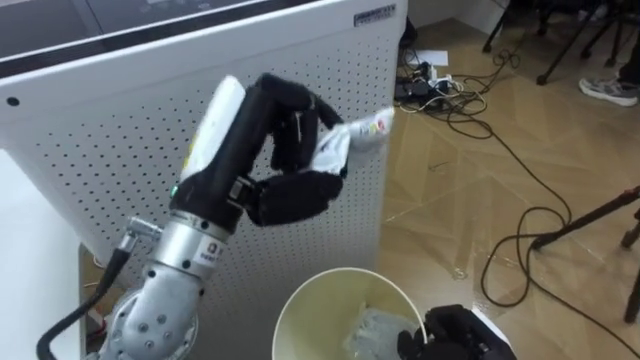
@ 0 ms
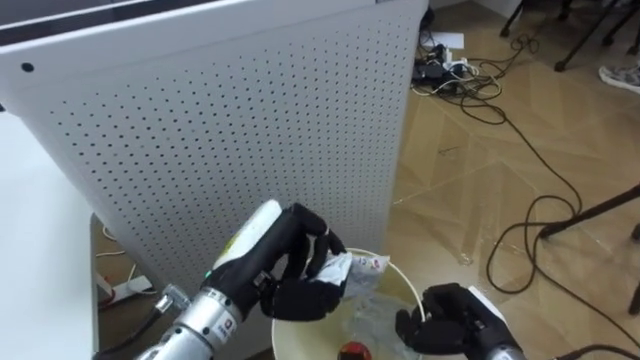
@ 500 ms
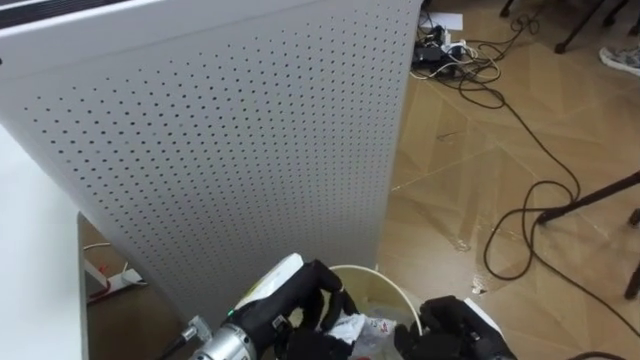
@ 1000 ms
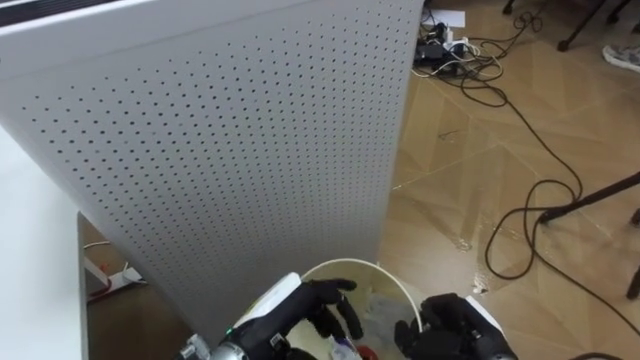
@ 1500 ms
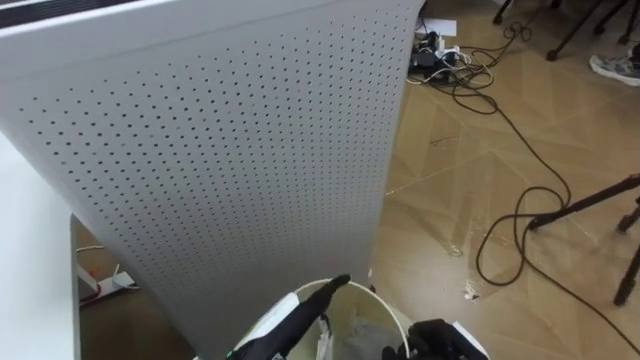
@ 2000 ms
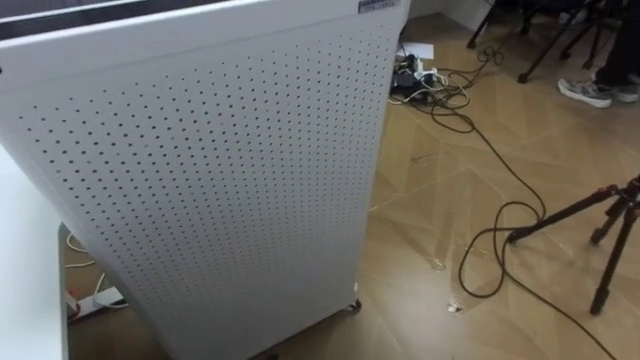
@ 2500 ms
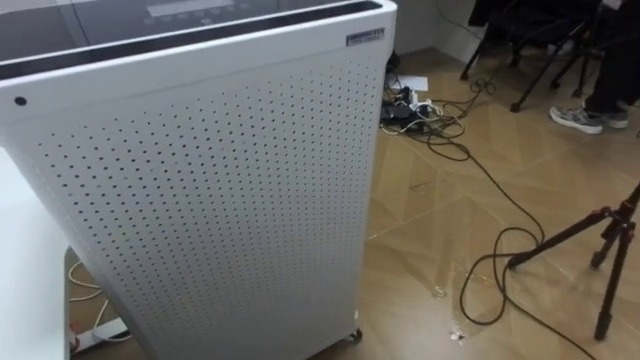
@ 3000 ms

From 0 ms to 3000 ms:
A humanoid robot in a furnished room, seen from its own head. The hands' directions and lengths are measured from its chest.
Task of the whole recording: Pick up the light blue package, the candy box, and the dark blue package separately, and put them into the trash can held in your right hand.
From 0 ms to 1500 ms: The left hand heads downward, covering roughly 20 cm, and opens up.

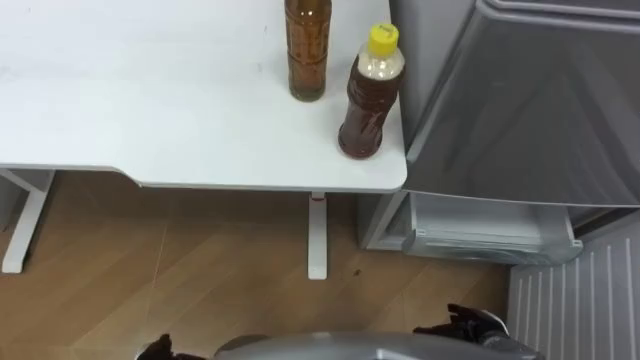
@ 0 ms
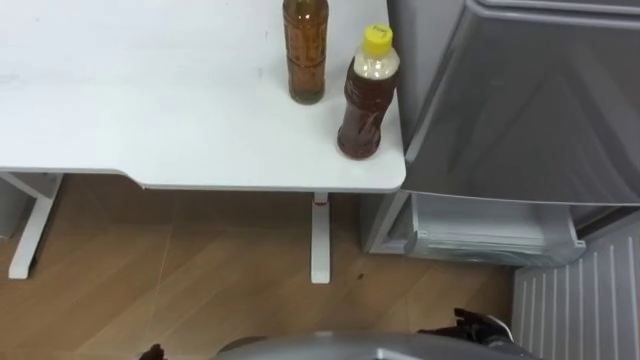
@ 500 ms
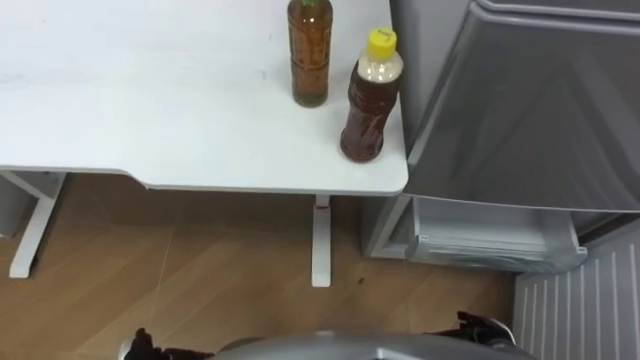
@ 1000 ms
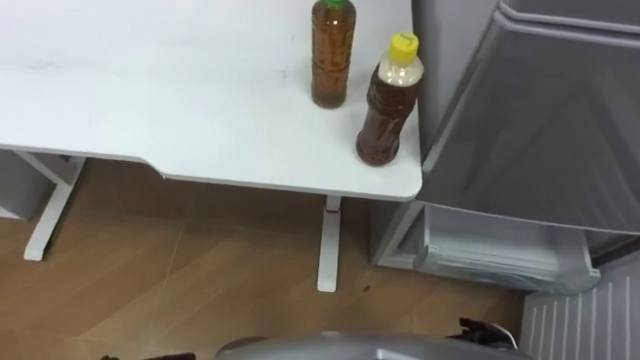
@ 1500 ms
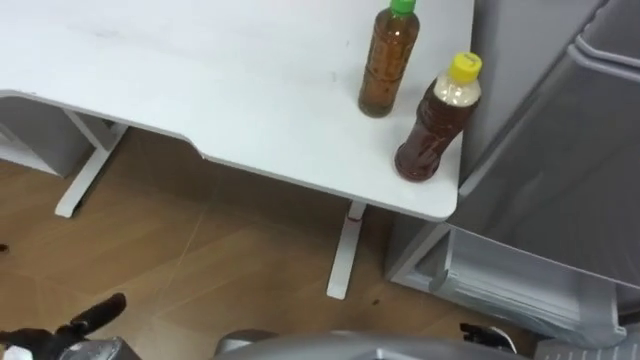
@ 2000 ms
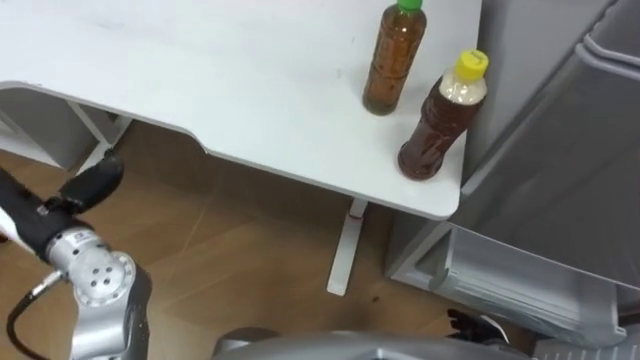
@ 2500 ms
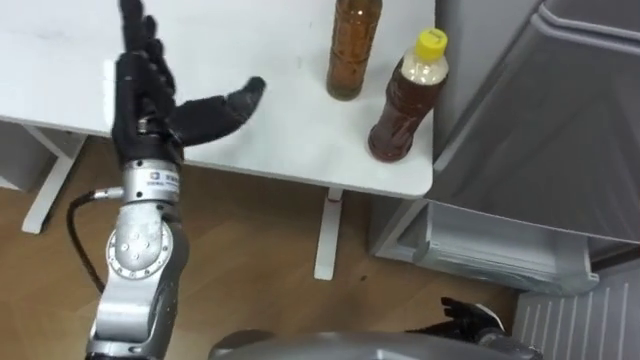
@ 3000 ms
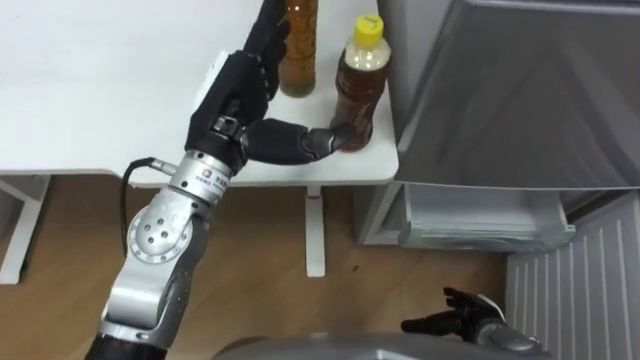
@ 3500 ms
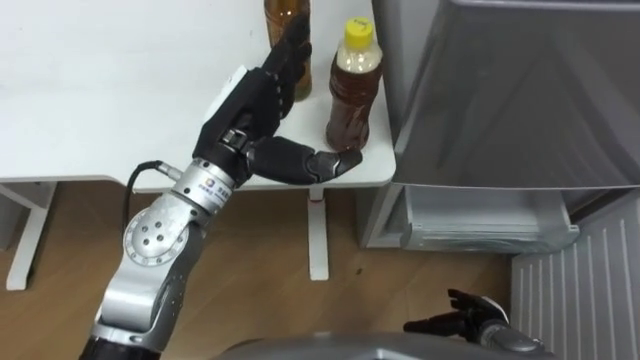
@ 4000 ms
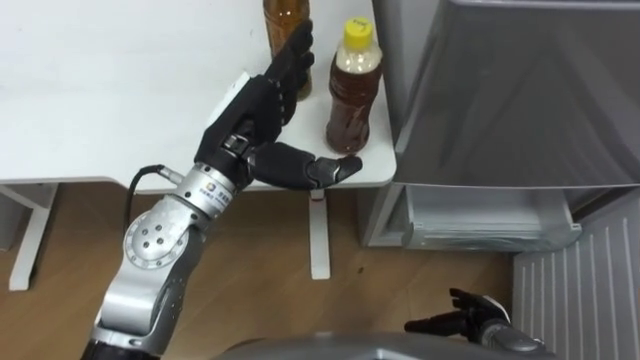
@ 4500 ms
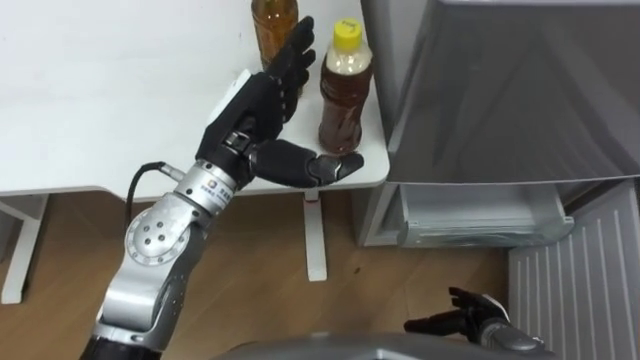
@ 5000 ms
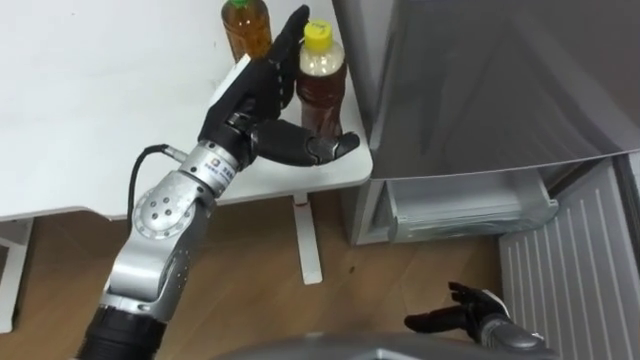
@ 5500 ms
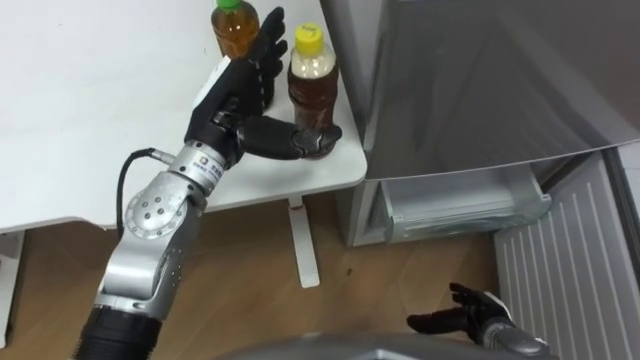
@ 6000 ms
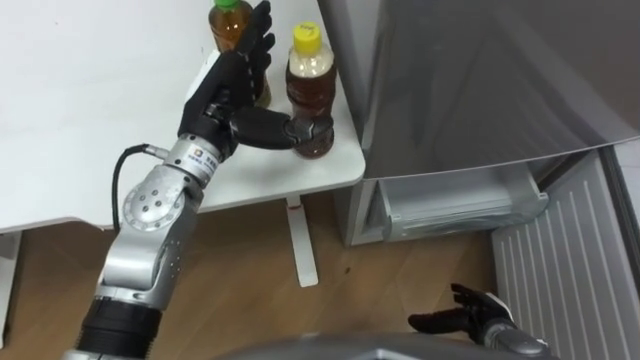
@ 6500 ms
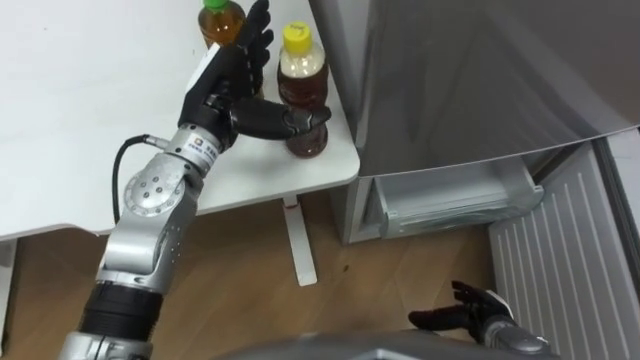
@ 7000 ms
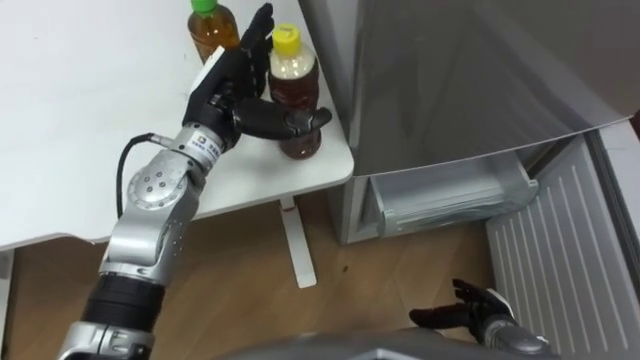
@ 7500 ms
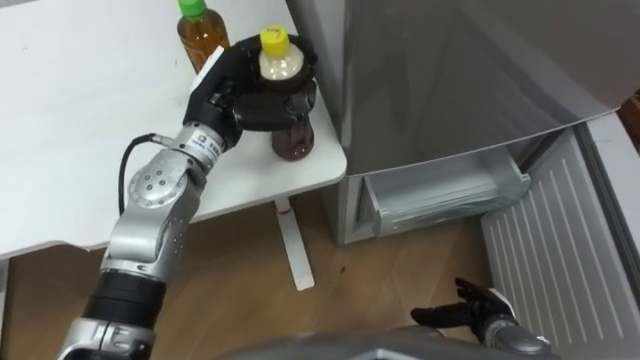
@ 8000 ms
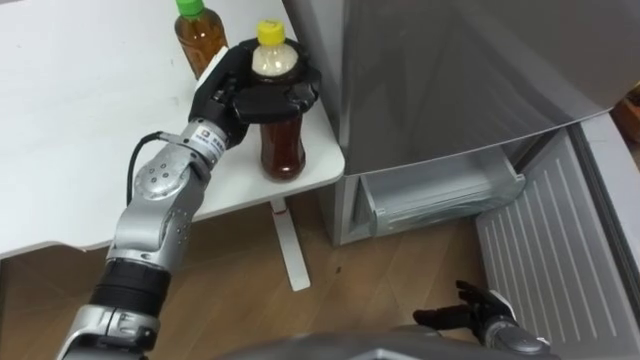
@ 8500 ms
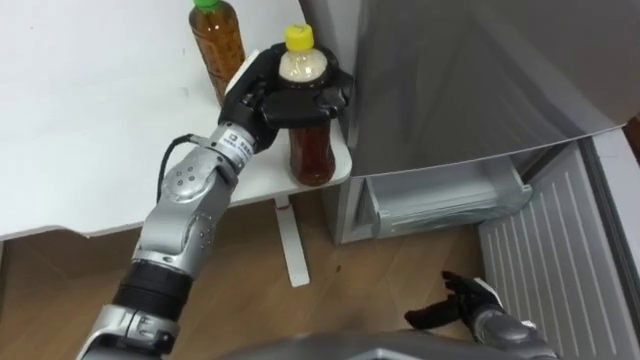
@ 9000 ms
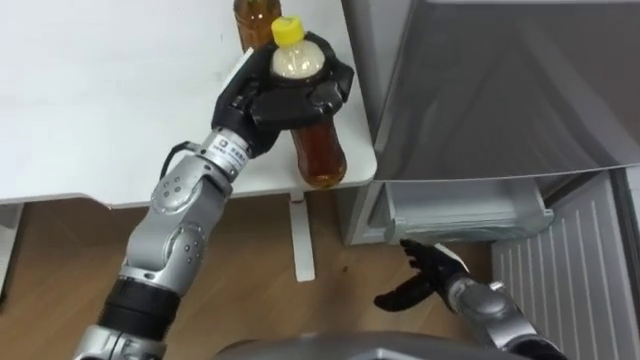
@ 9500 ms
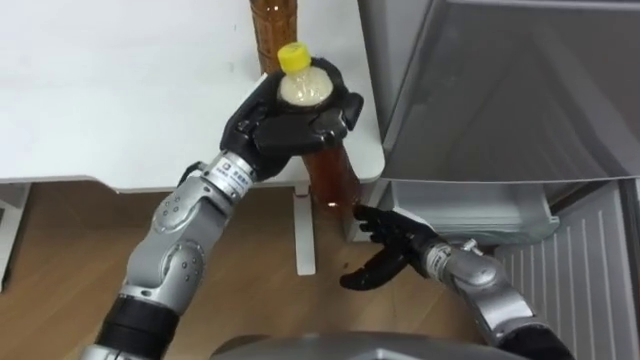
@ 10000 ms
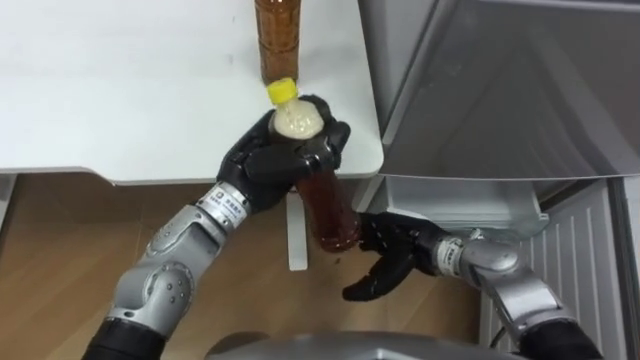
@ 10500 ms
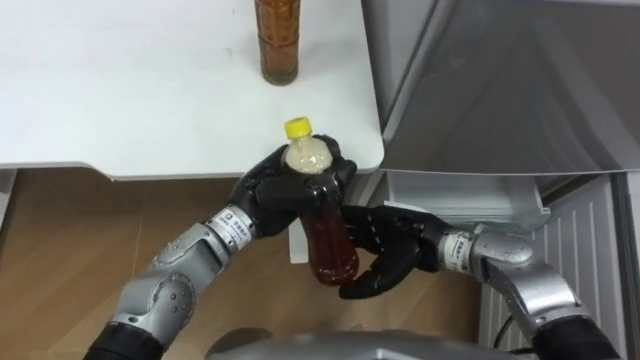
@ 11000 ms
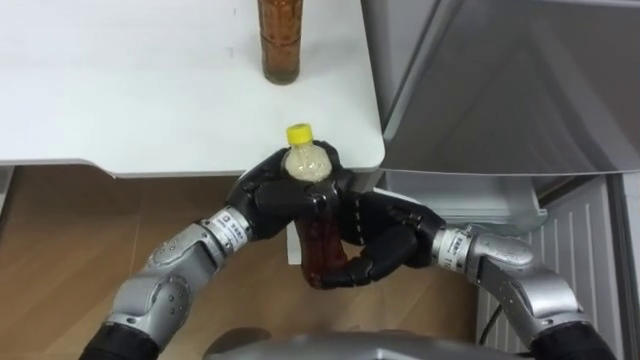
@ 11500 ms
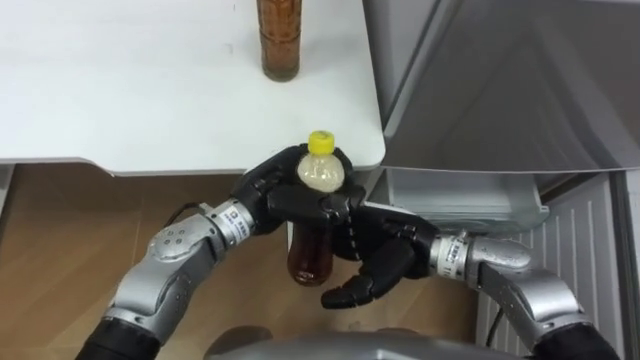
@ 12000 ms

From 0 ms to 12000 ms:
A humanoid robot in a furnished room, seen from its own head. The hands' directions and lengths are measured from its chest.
Task of the whole recording: Place the drink on the table on the bottom shelf of the refrigerator, then close the drawer and the refrigerator door.
From 6000 ms to 8000 ms: The left hand closes up.
From 8000 ms to 10000 ms: The left hand goes about 5 cm to the right. The right hand is displaced to the left, forward and upward by some 20 cm.
From 10000 ms to 12000 ms: The right hand travels upward by about 10 cm, while the left hand goes roughly 5 cm downward.

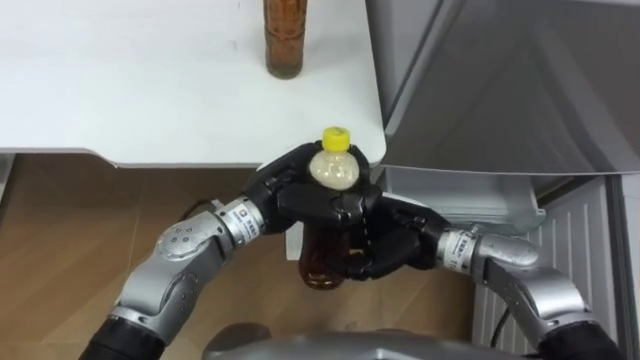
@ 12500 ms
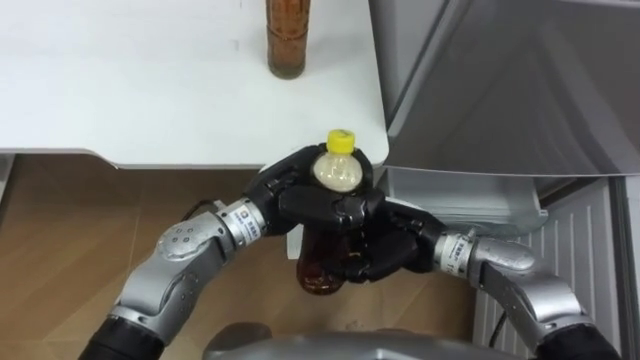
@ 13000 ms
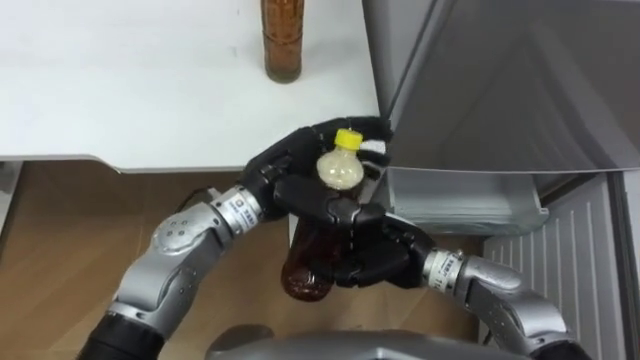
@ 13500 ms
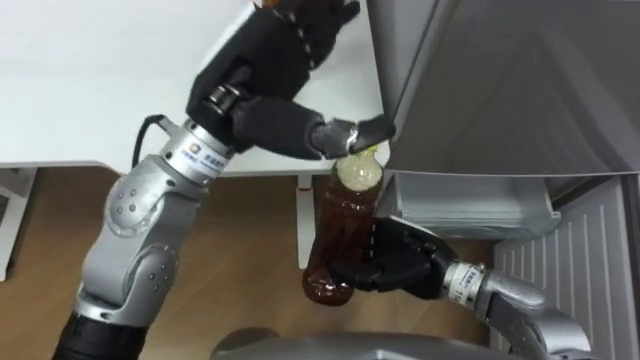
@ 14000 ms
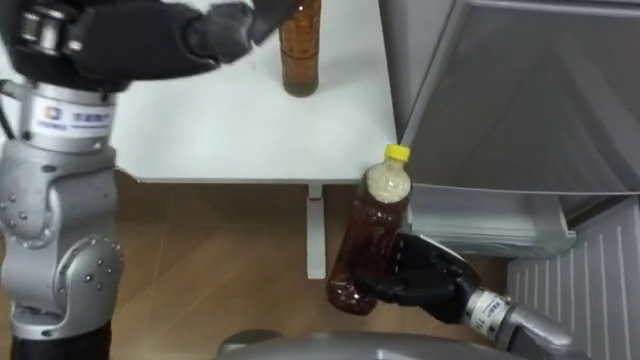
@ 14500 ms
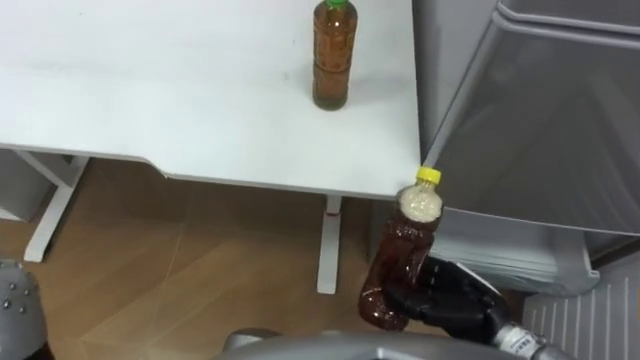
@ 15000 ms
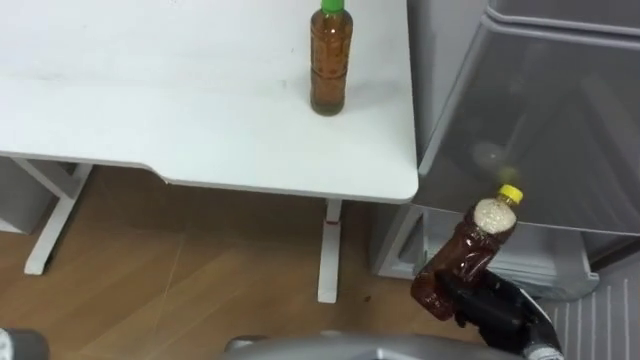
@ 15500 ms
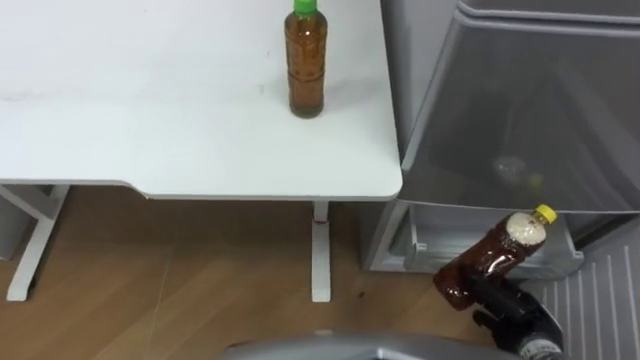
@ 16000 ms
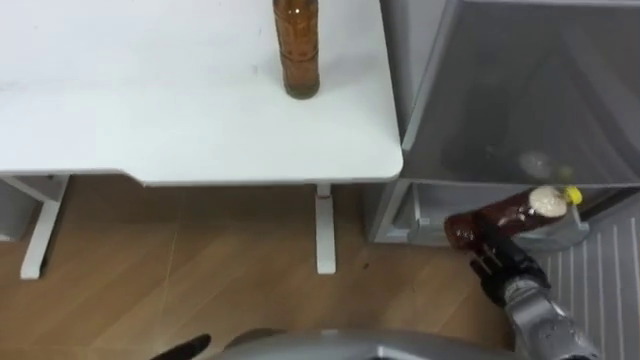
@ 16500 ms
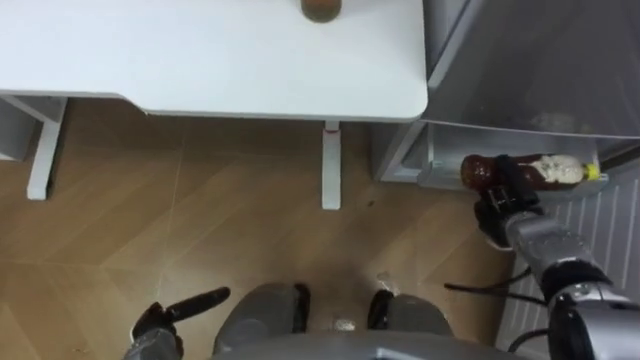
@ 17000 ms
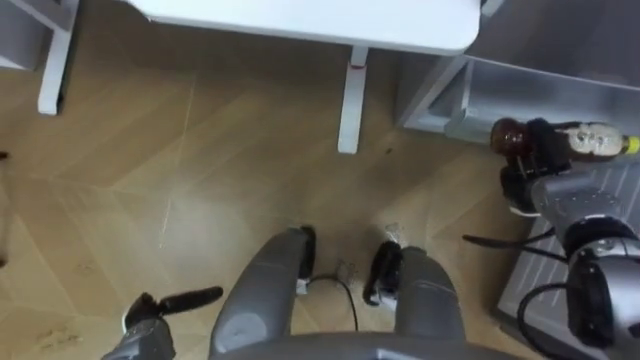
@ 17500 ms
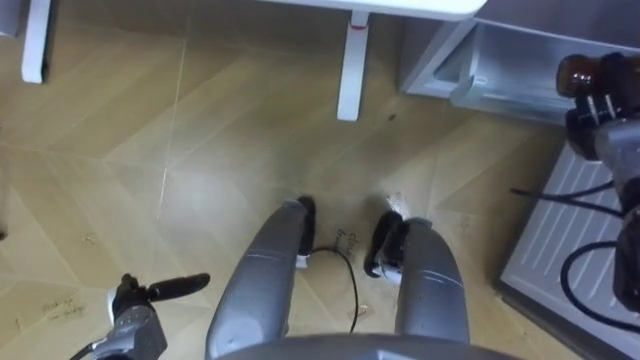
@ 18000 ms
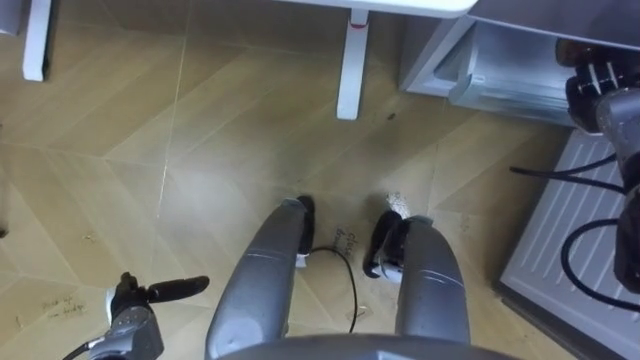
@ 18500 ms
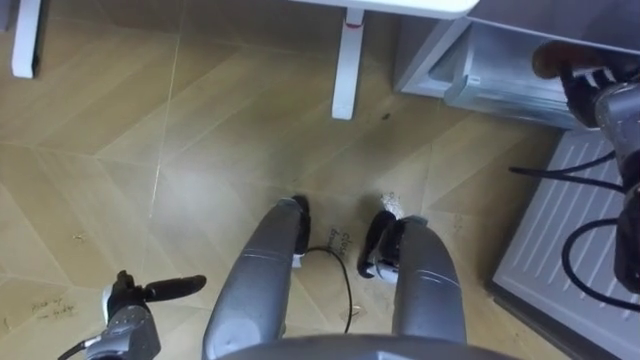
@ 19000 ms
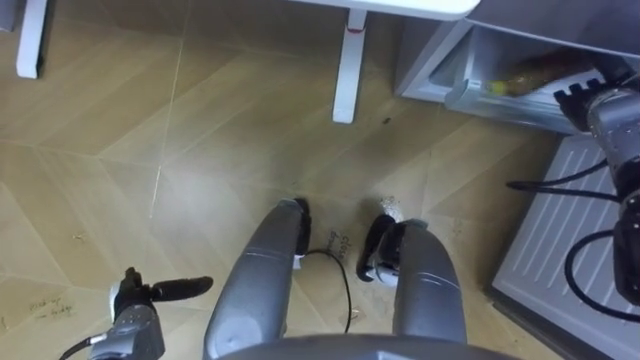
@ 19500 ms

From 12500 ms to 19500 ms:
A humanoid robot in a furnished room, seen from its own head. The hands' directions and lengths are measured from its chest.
Task of the whole recording: Place the drink on the table on the bottom shelf of the refrigerator, then close the drawer and the refrigerator door.
From 12500 ms to 14500 ms: The left hand goes approximately 25 cm upward and to the left, and opens up; the right hand changes place by roughly 5 cm.
From 14500 ms to 16000 ms: The right hand heads to the right, downward and backward, covering about 15 cm.
From 16000 ms to 17500 ms: The right hand moves forward, some 20 cm.
From 17500 ms to 19500 ms: The right hand heads upward and forward, covering approximately 15 cm, and opens its fingers.
